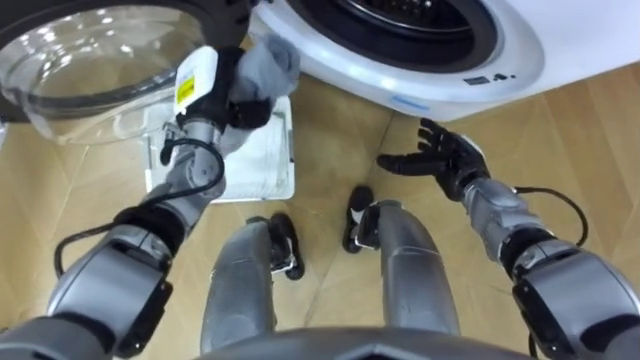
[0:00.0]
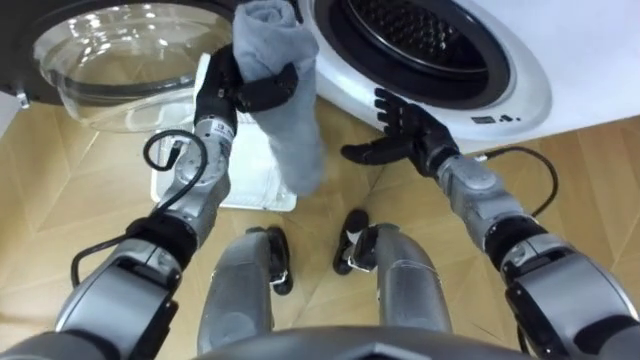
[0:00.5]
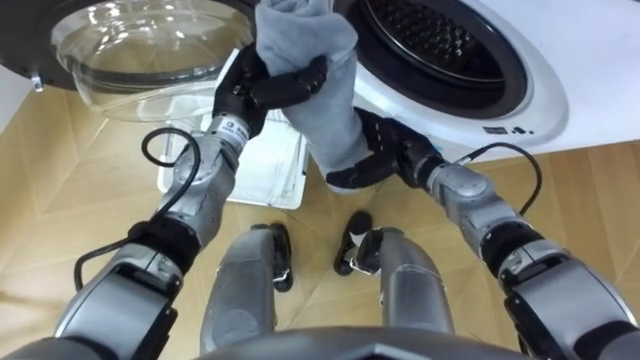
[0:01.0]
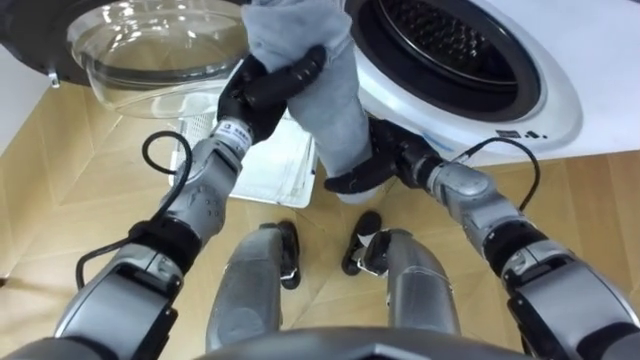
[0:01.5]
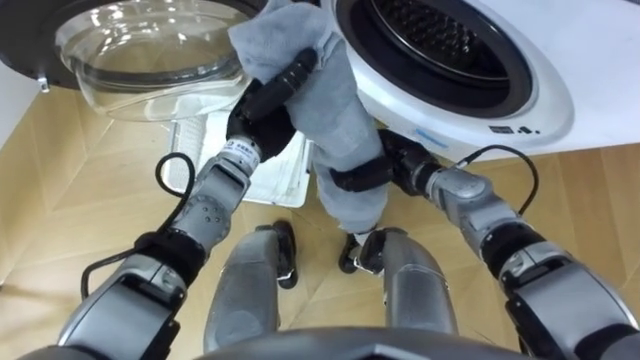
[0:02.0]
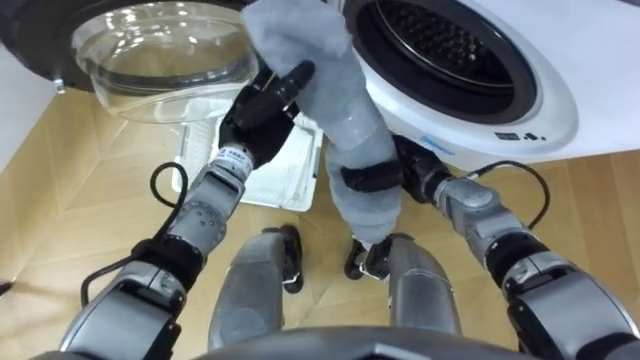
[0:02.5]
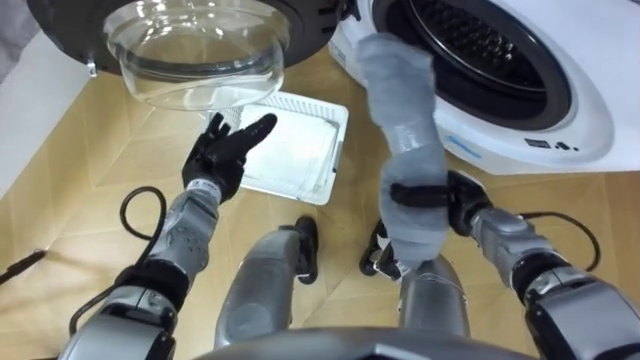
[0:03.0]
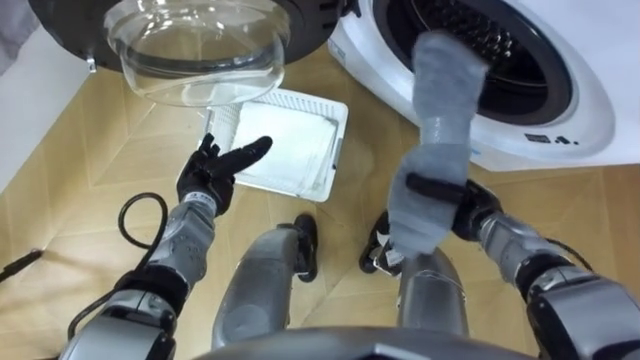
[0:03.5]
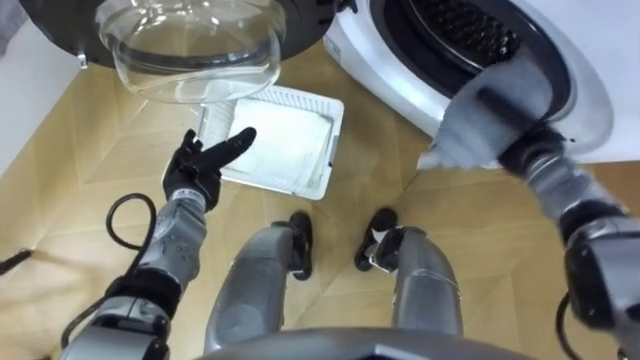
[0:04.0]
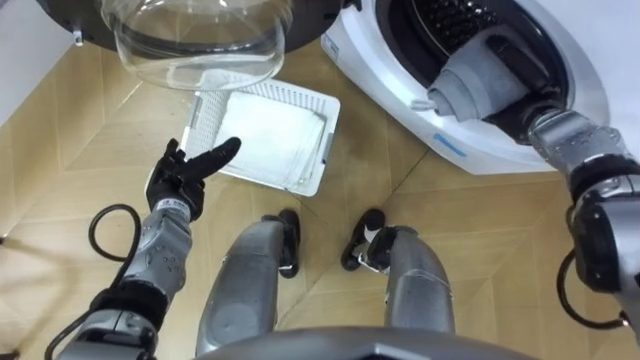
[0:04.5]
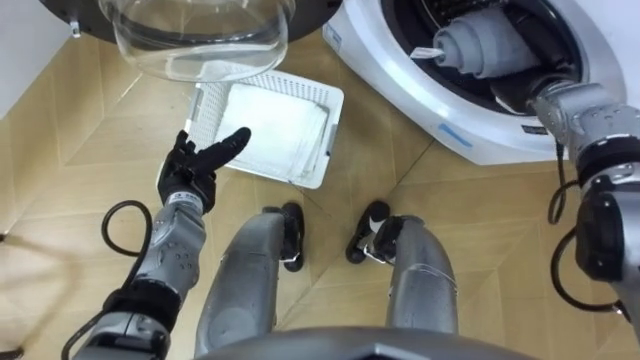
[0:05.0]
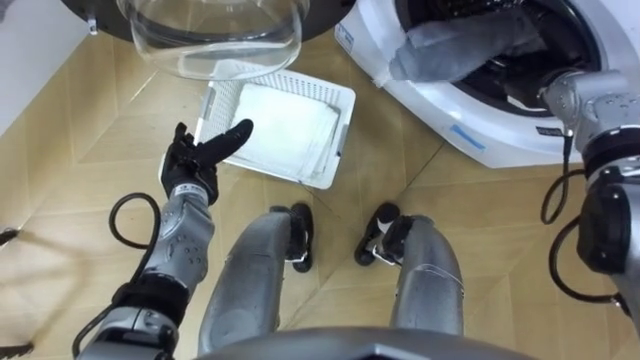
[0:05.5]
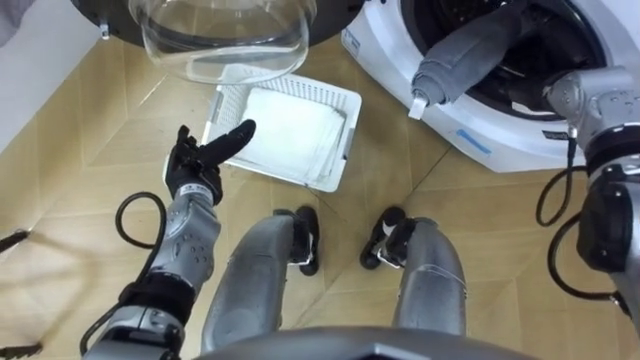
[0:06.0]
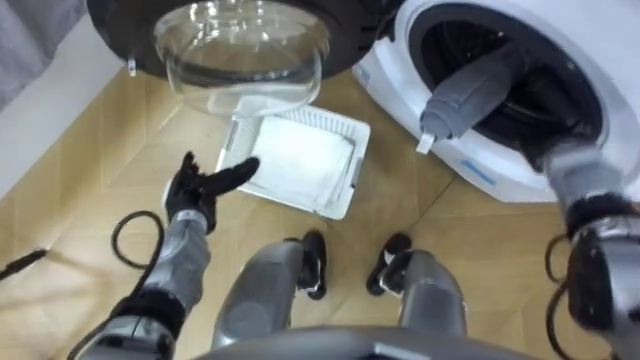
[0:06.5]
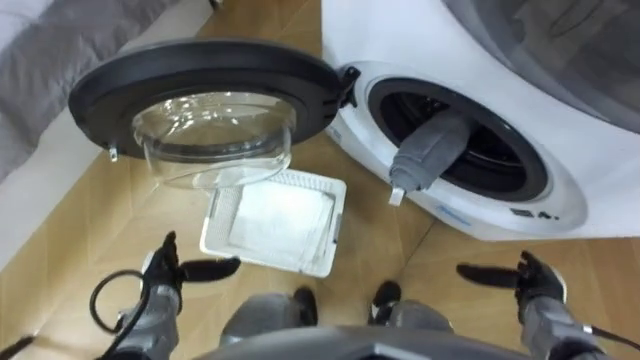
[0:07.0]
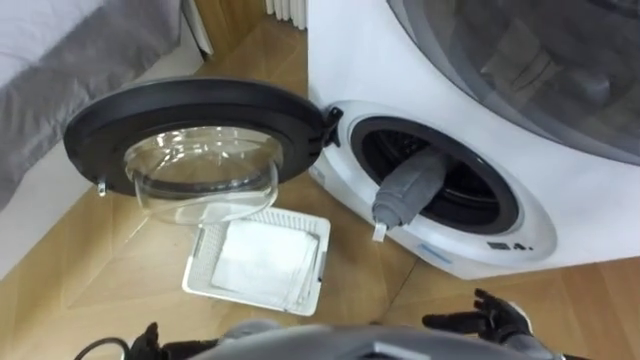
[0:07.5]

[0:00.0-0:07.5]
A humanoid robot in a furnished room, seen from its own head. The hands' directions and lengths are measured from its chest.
Task of the whole recording: Take the towel from the basket and put it into the washing machine.
0:00.0 to 0:02.0: The left hand travels to the right by about 10 cm. Meanwhile the right hand goes approximately 10 cm to the left, and closes up.
0:02.0 to 0:04.0: The left hand heads to the left, downward and backward, covering some 15 cm, and opens its fingers. Meanwhile the right hand goes roughly 20 cm to the right.
0:04.0 to 0:05.5: The right hand goes about 10 cm upward and forward, and opens up.
0:05.5 to 0:07.5: The right hand travels backward and downward by approximately 35 cm.
